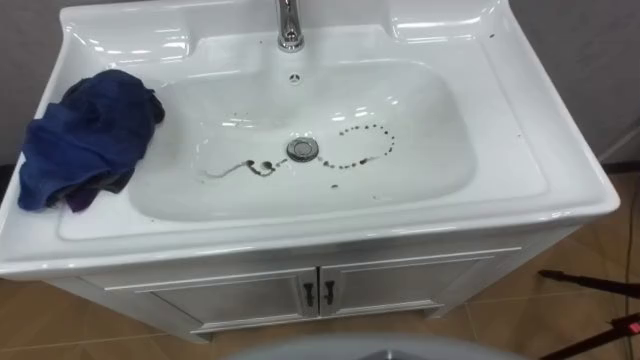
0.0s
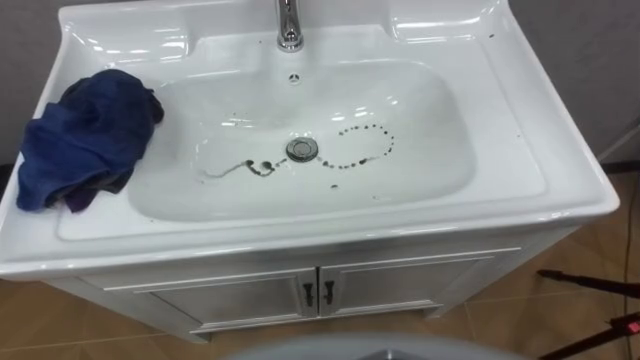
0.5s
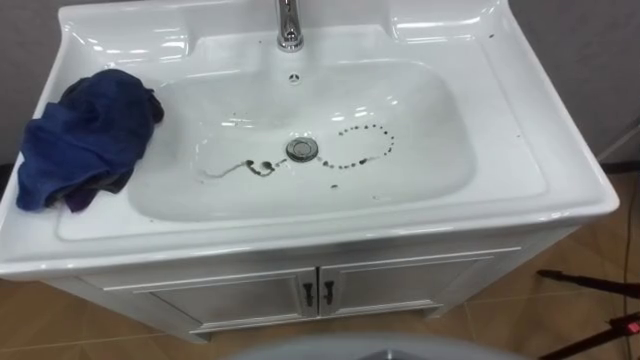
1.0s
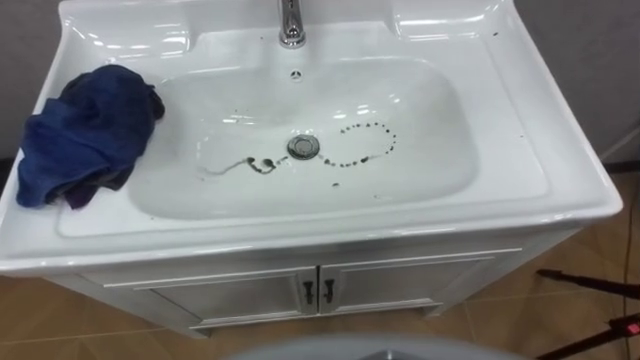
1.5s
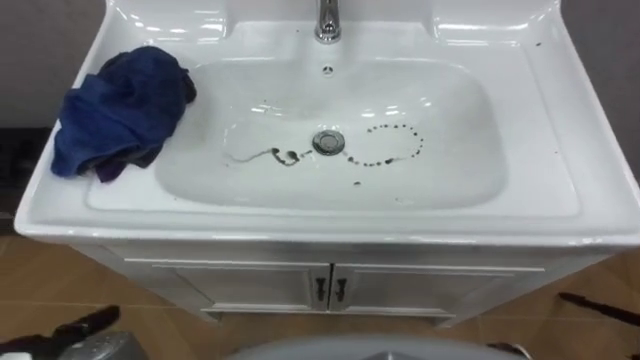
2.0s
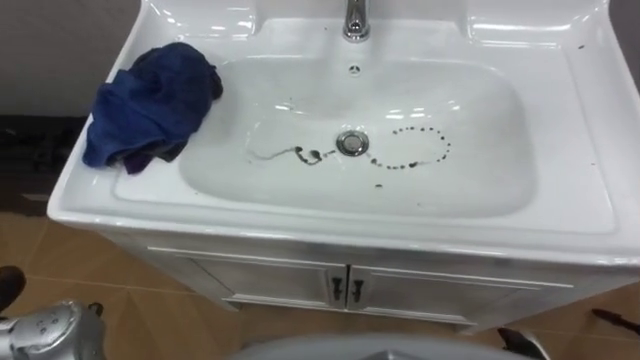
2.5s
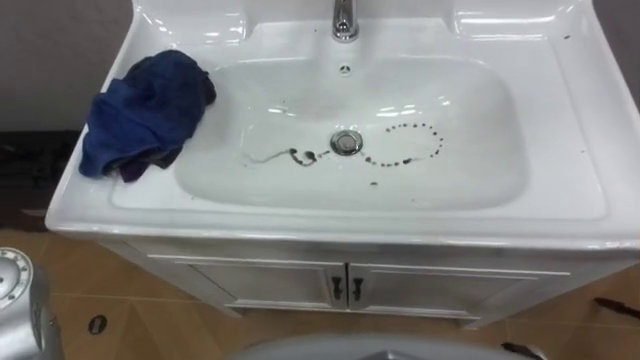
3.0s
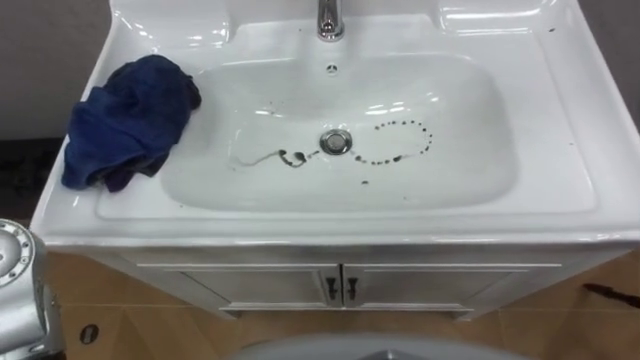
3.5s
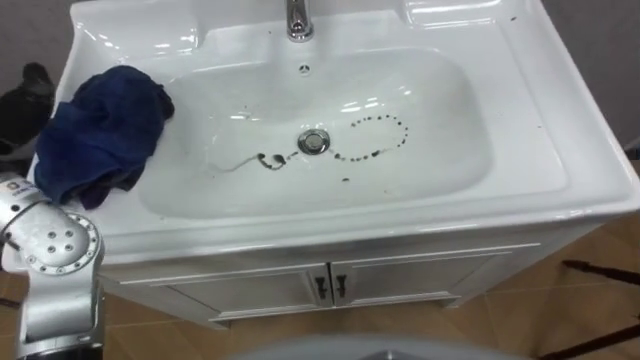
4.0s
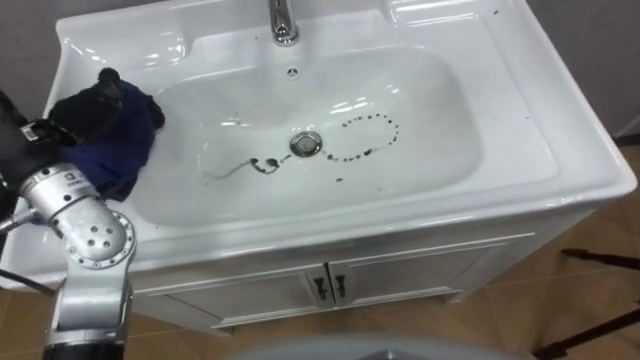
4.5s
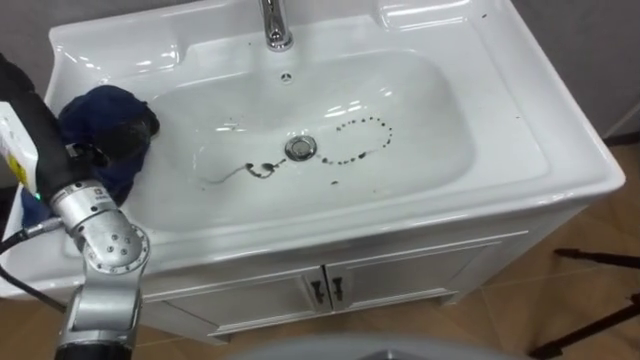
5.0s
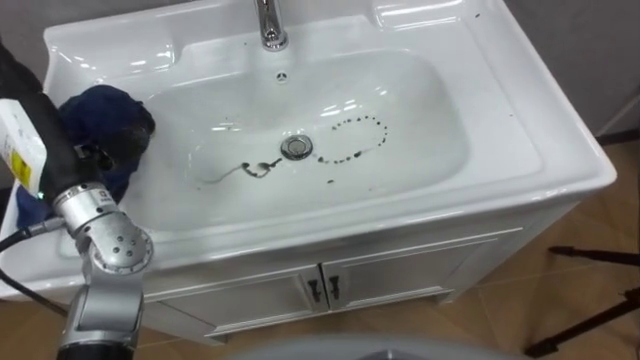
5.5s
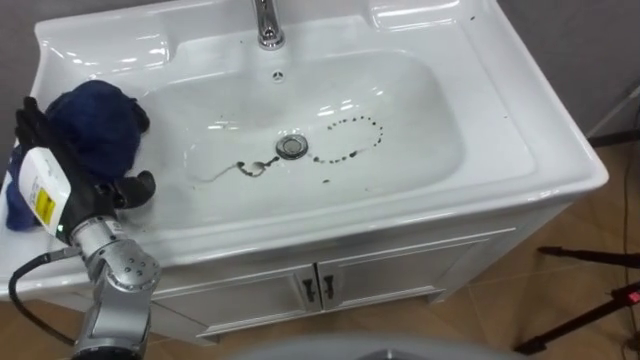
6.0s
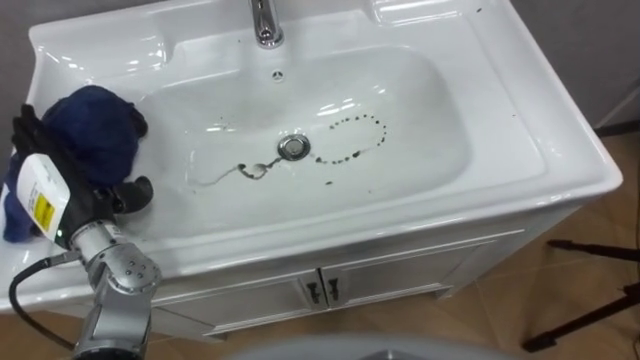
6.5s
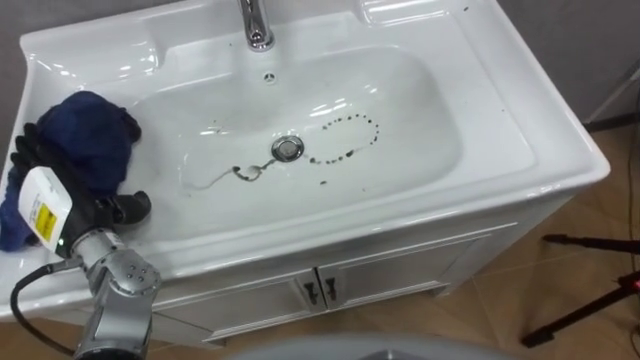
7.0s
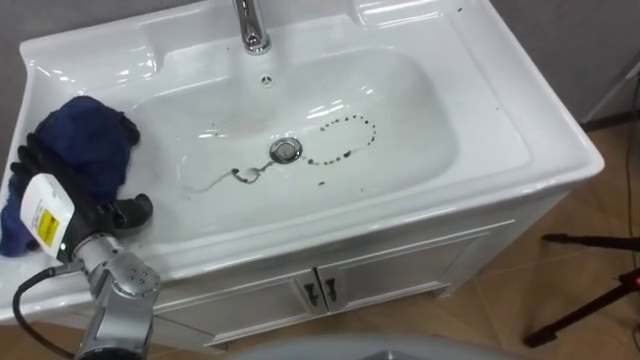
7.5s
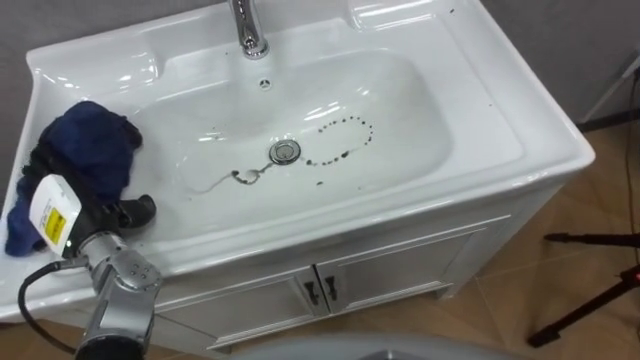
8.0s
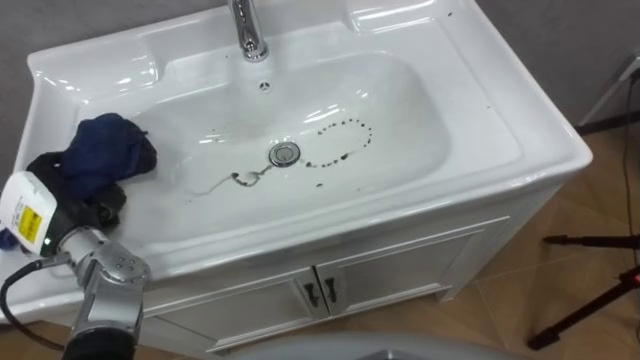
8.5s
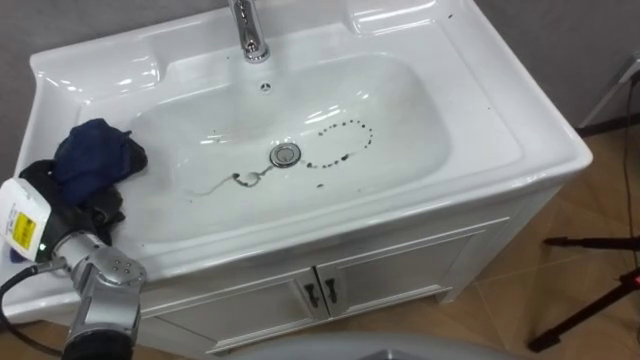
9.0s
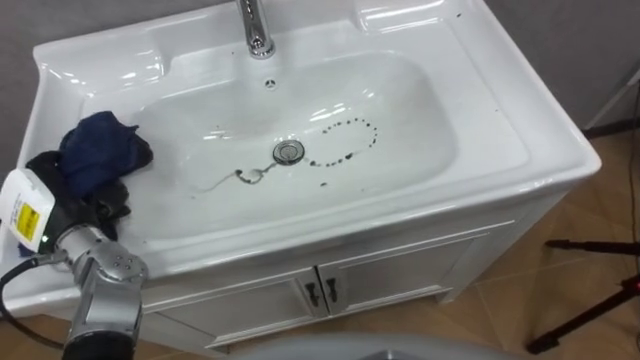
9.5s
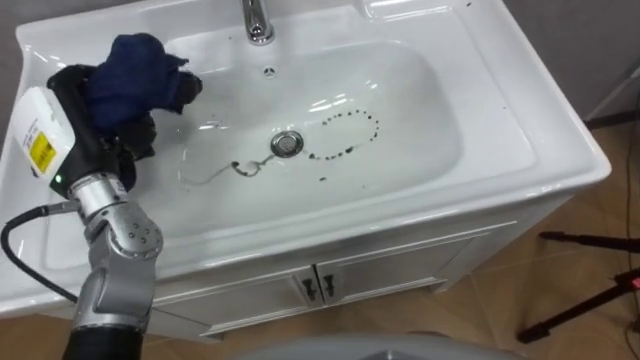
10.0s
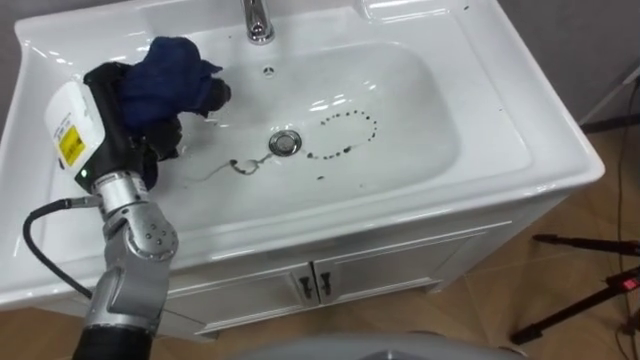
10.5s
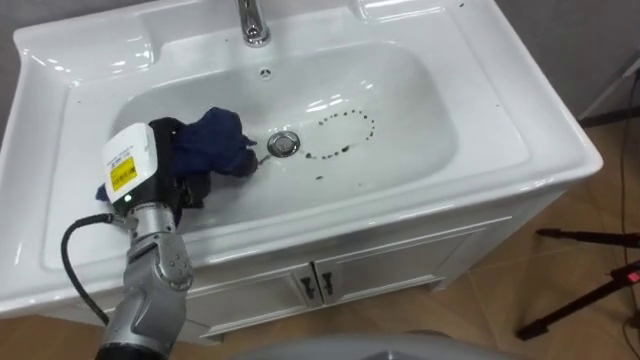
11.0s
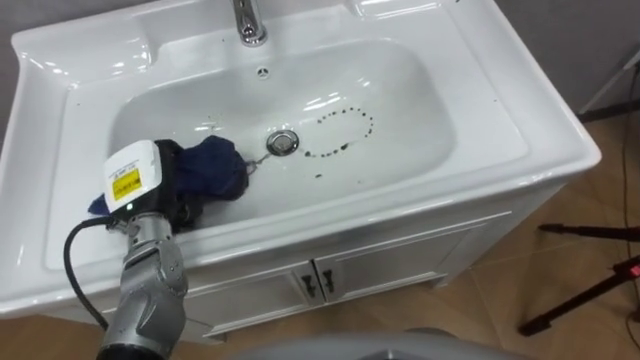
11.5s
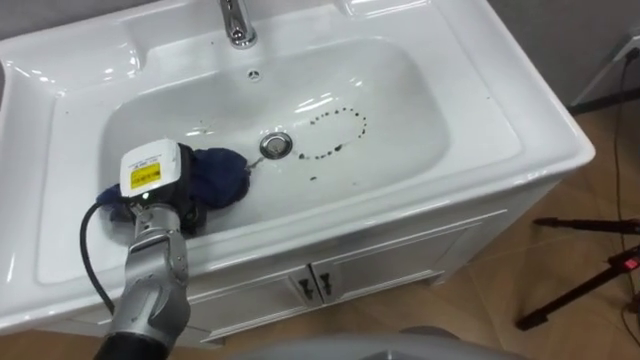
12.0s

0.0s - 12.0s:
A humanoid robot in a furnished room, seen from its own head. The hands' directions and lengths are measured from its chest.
Task of the whole recording: Use the cloth on the right to wipe away the black stain in the sink.
6.0s - 8.0s: The left hand is displaced downward by roughly 5 cm.
8.0s - 10.0s: The left hand goes roughly 10 cm upward and forward, and closes.
10.0s - 12.0s: The left hand goes roughly 10 cm downward and to the right.

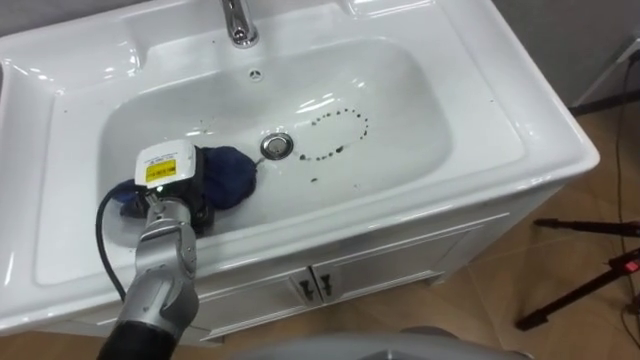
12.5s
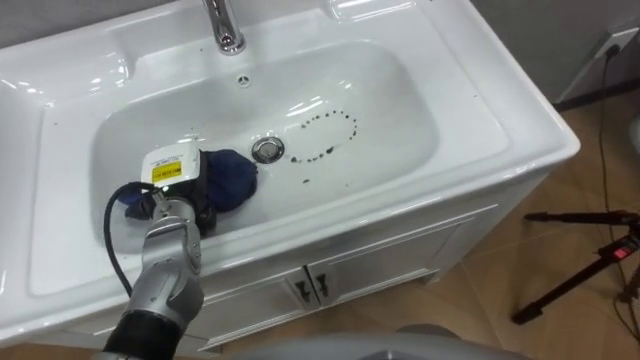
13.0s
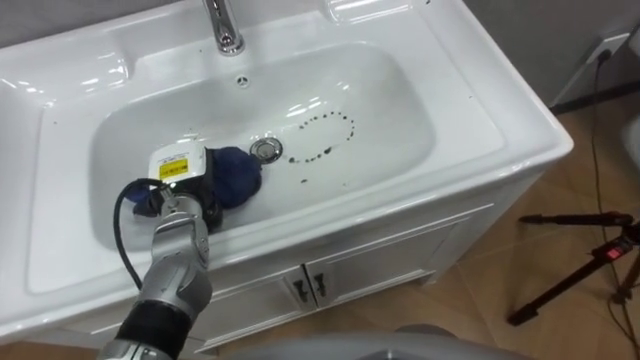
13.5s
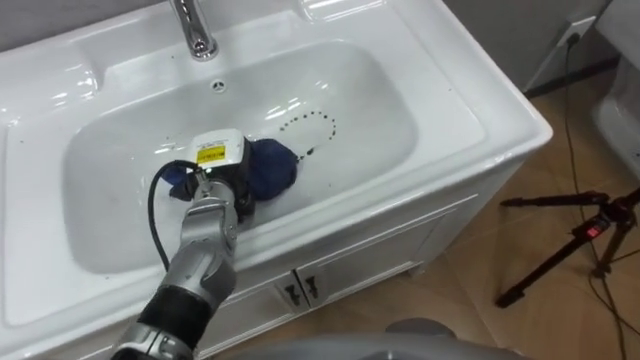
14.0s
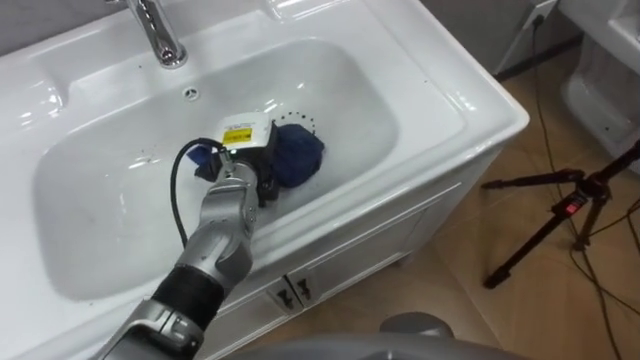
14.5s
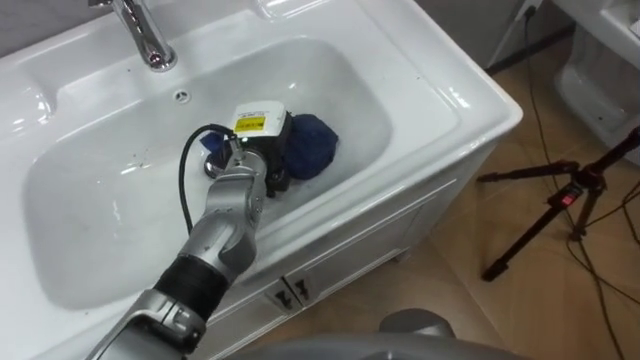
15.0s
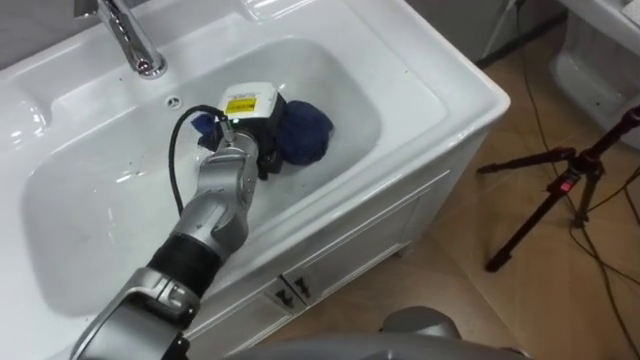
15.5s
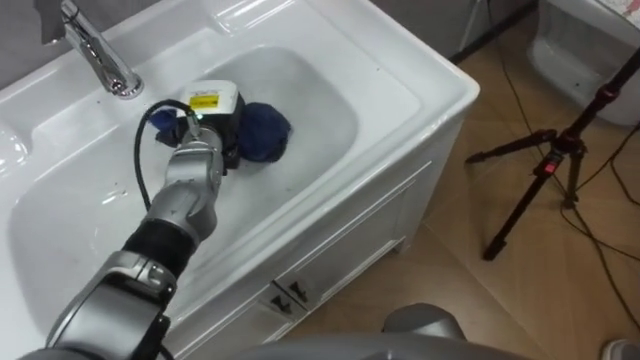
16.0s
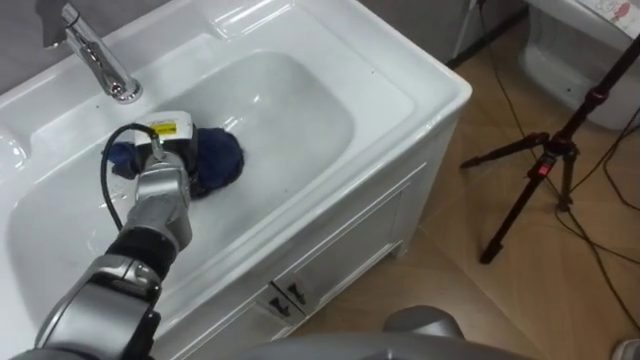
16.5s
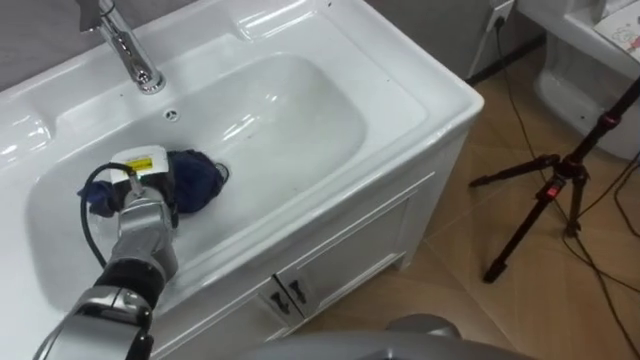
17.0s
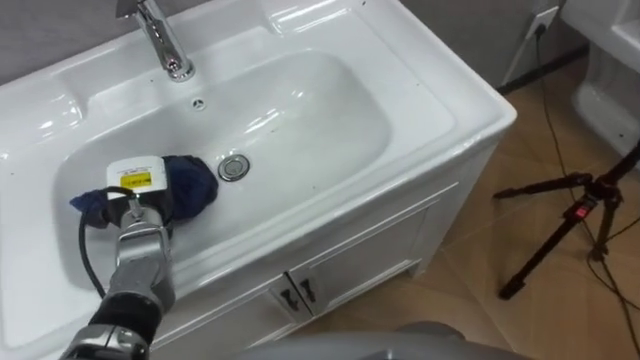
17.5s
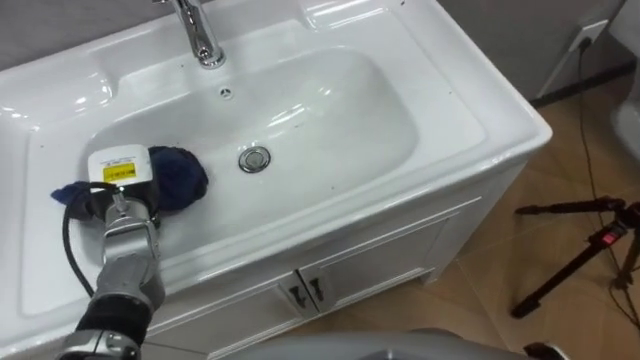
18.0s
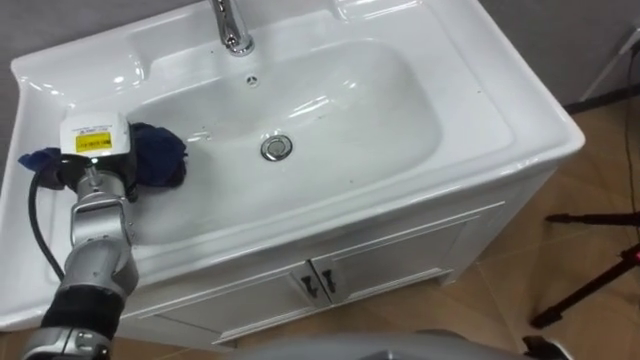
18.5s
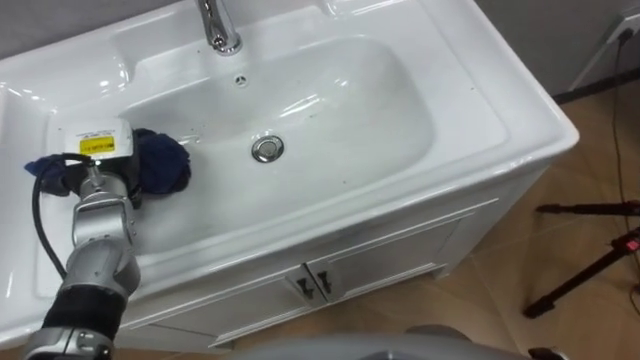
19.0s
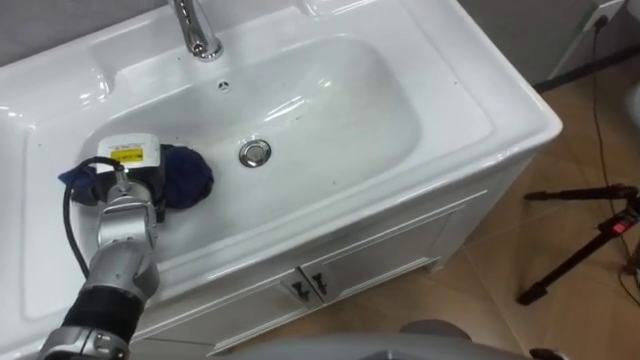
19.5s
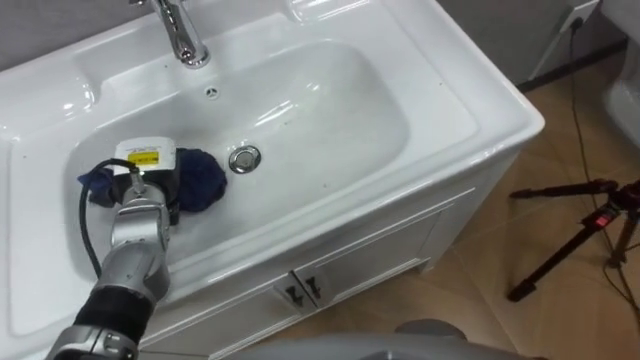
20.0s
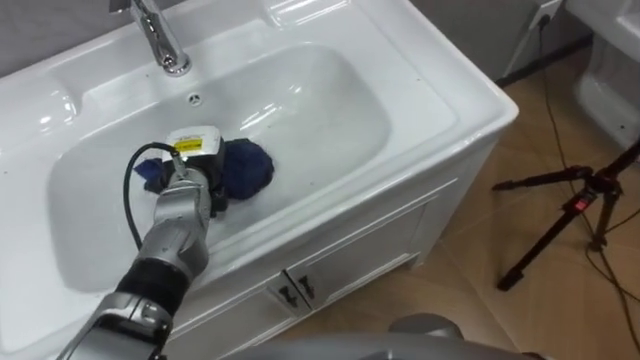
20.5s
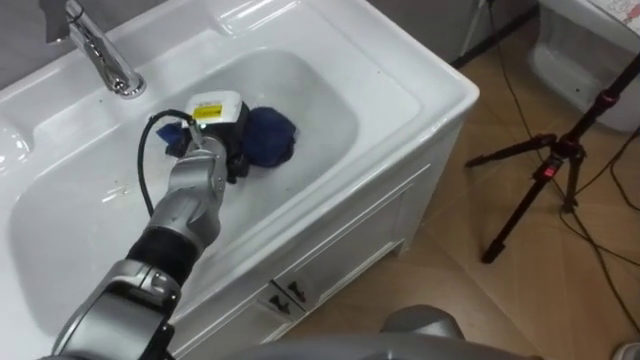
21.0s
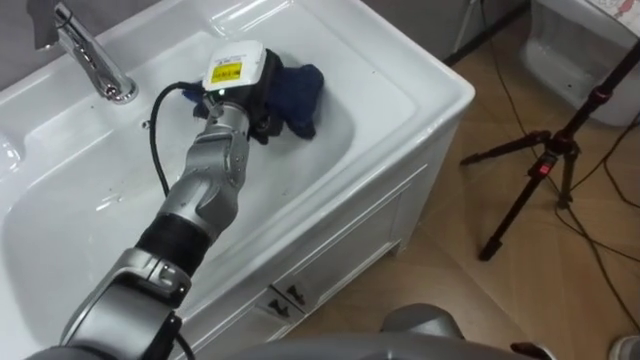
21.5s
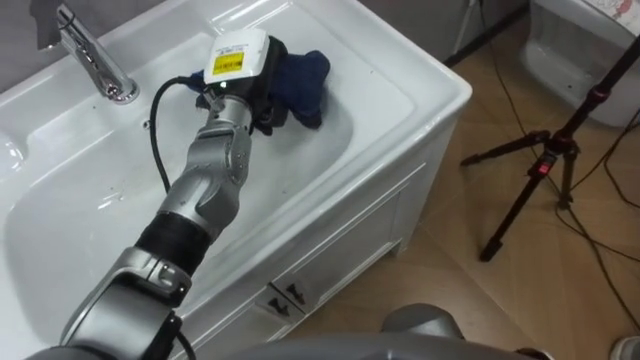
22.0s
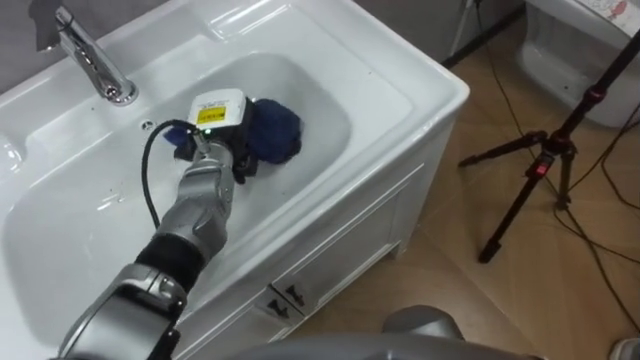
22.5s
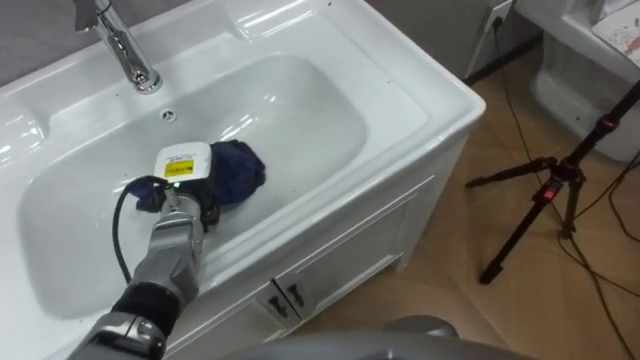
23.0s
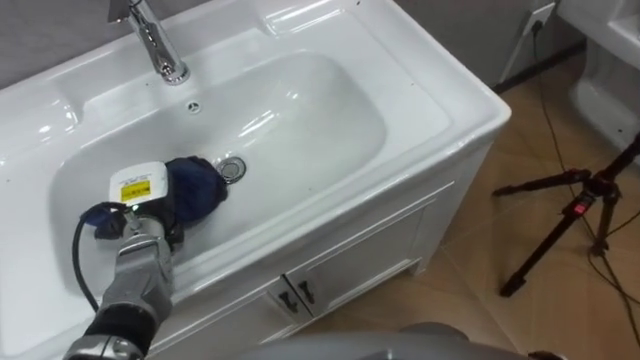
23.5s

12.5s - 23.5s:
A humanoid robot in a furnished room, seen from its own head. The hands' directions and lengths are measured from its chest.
Task of the whole recording: Use the cloth on the right to wipe away the black stain in the sink.
12.5s - 14.5s: The left hand is displaced to the right by some 10 cm.
14.5s - 16.0s: The left hand is displaced to the left by approximately 5 cm.
16.0s - 18.0s: The left hand travels to the left and backward by some 15 cm.
20.0s - 21.5s: The left hand is displaced to the right, forward and upward by some 20 cm.
21.5s - 23.5s: The left hand goes roughly 20 cm to the left, downward and backward.
